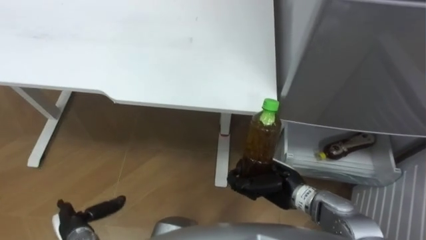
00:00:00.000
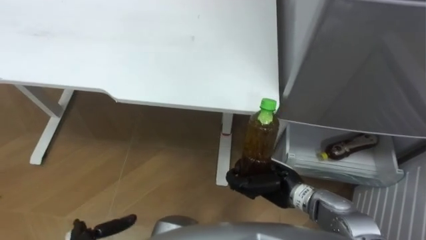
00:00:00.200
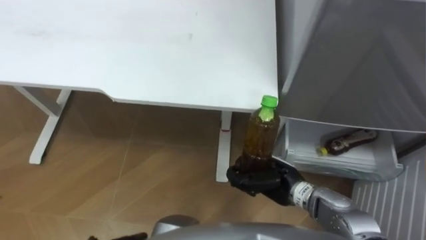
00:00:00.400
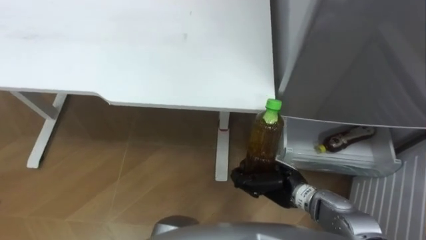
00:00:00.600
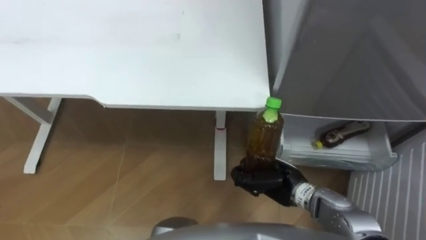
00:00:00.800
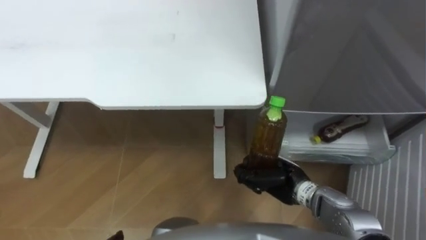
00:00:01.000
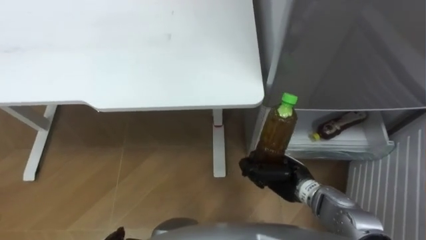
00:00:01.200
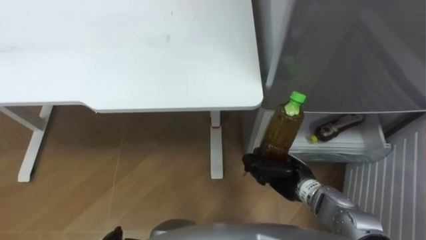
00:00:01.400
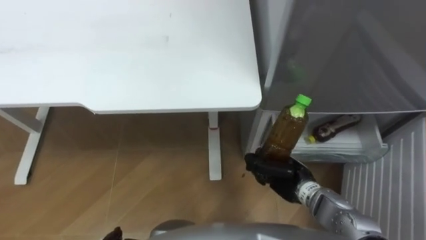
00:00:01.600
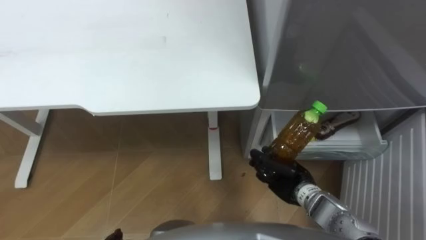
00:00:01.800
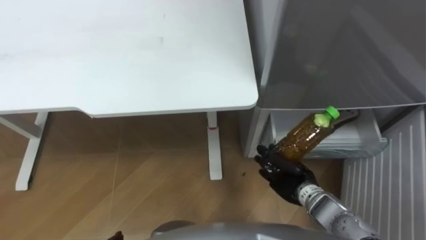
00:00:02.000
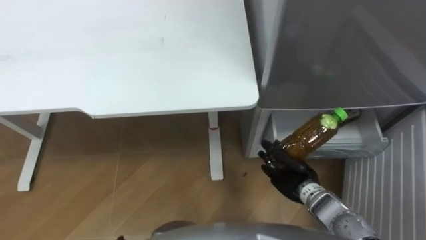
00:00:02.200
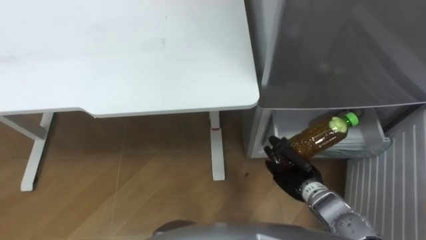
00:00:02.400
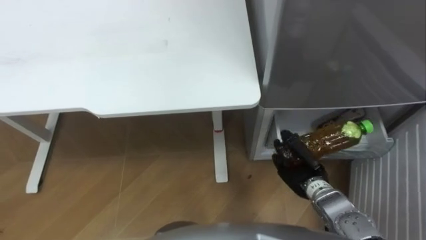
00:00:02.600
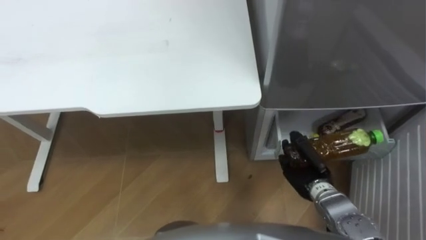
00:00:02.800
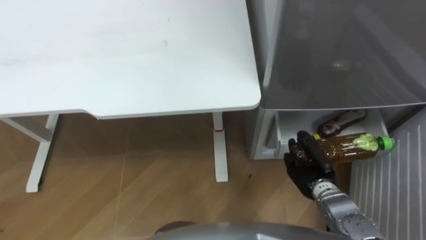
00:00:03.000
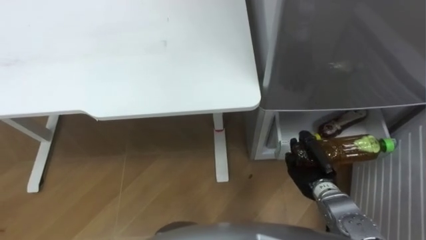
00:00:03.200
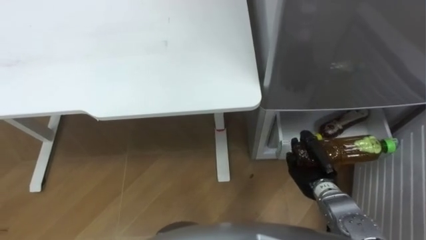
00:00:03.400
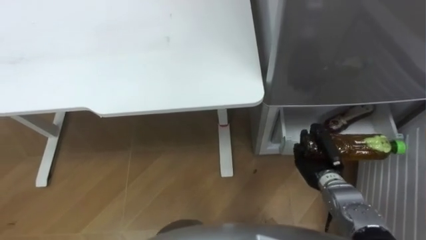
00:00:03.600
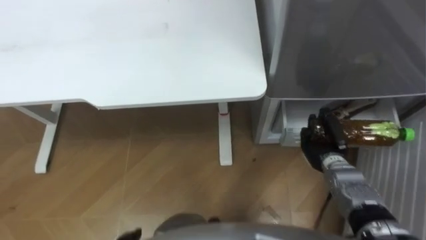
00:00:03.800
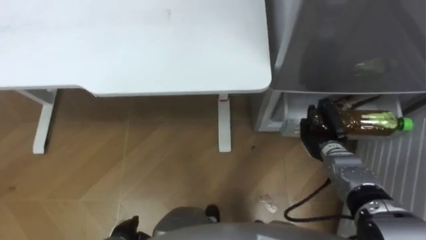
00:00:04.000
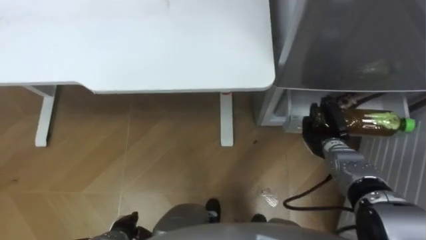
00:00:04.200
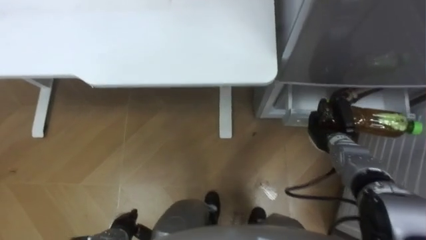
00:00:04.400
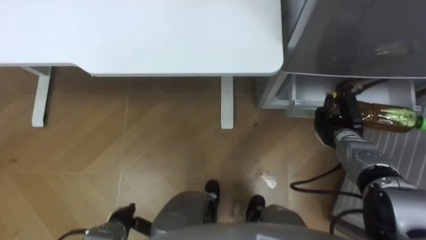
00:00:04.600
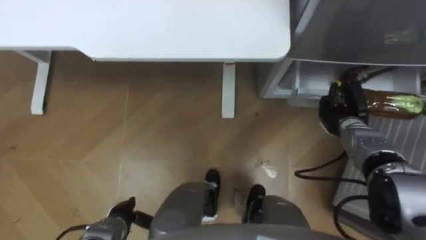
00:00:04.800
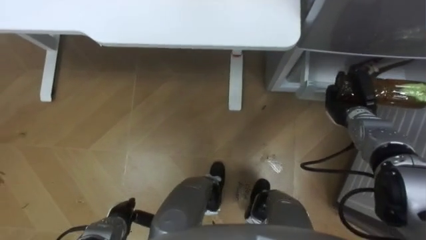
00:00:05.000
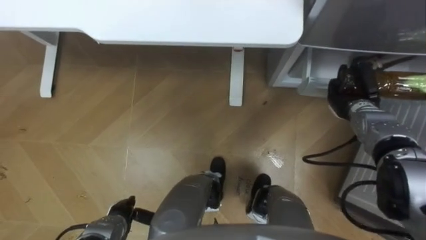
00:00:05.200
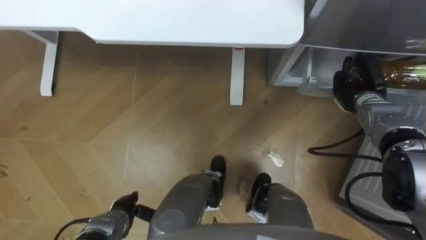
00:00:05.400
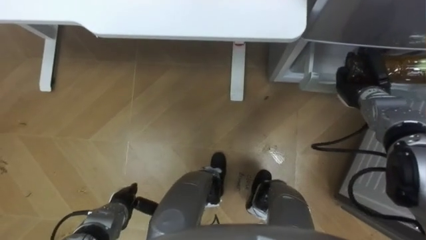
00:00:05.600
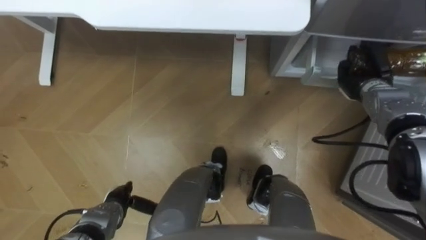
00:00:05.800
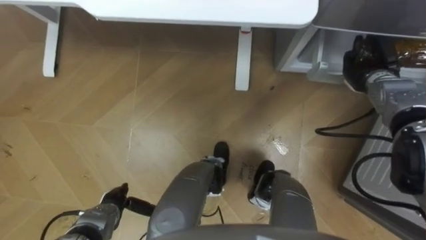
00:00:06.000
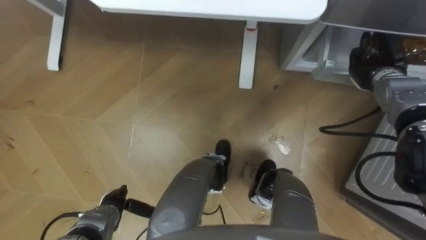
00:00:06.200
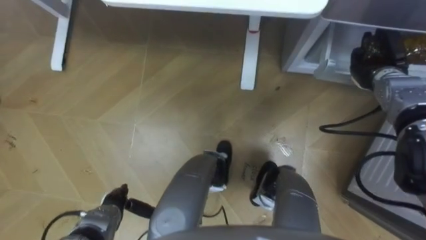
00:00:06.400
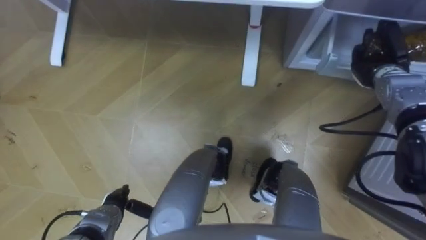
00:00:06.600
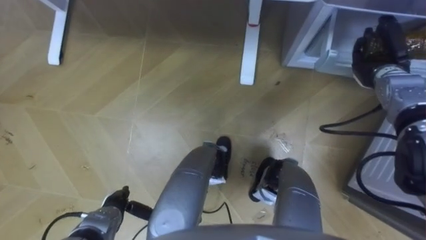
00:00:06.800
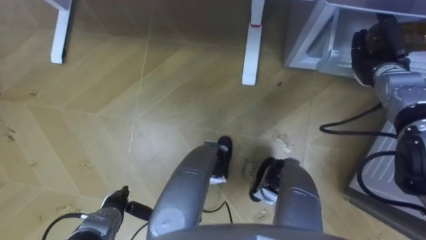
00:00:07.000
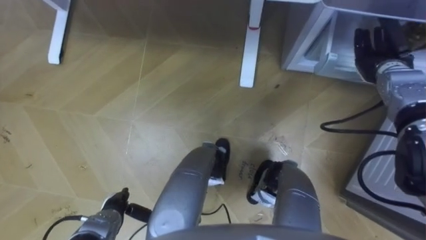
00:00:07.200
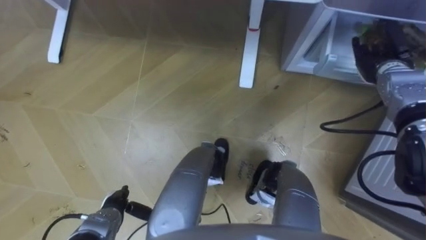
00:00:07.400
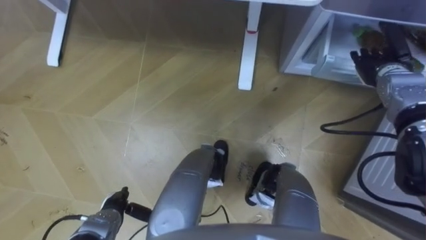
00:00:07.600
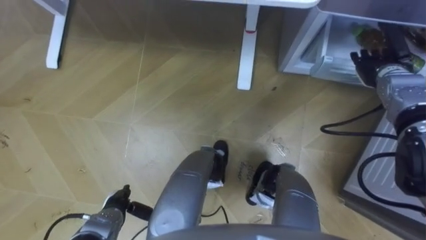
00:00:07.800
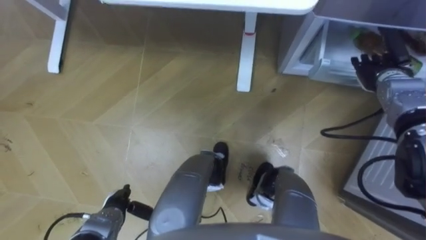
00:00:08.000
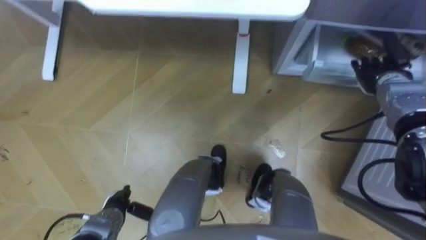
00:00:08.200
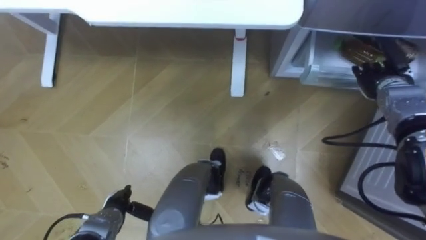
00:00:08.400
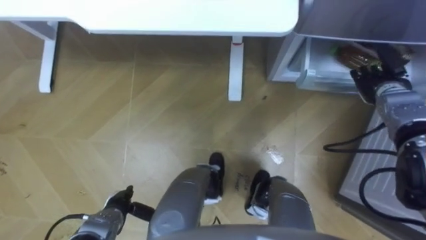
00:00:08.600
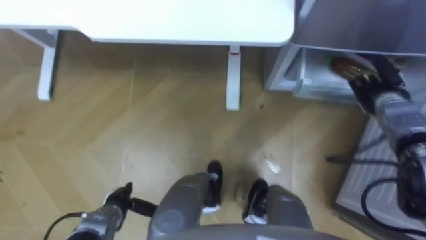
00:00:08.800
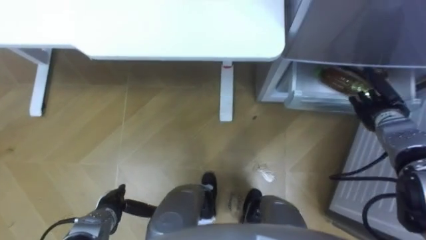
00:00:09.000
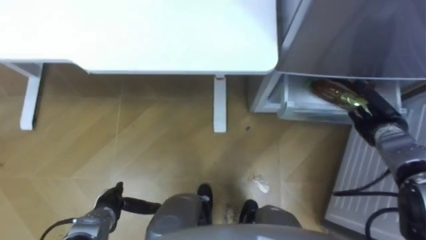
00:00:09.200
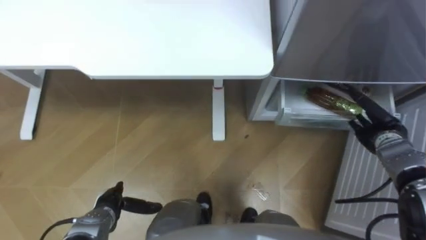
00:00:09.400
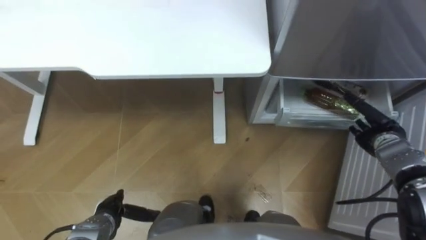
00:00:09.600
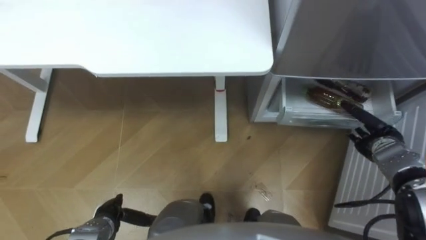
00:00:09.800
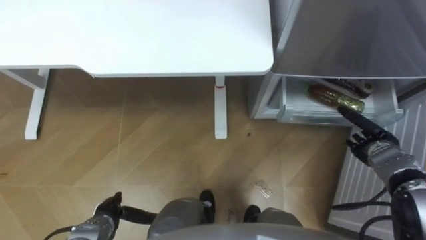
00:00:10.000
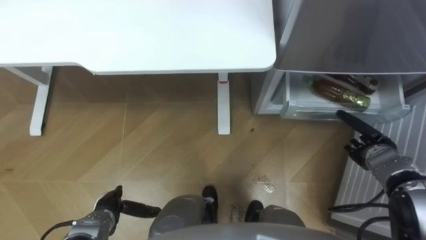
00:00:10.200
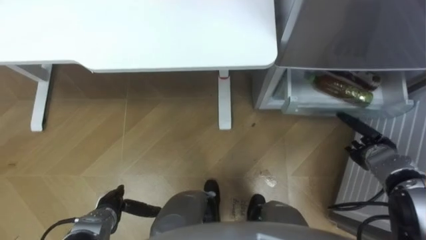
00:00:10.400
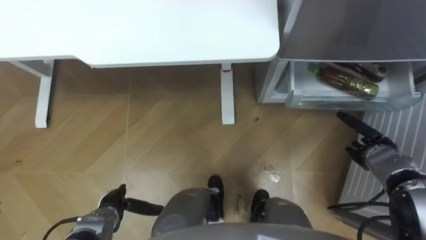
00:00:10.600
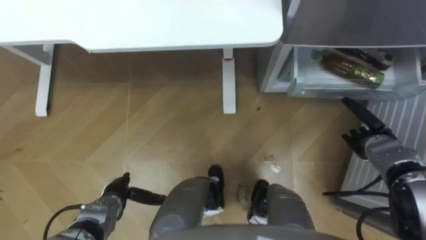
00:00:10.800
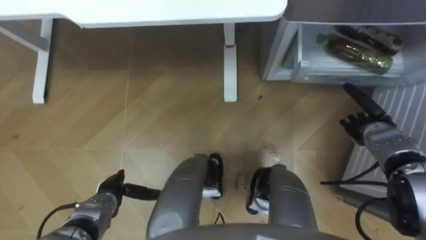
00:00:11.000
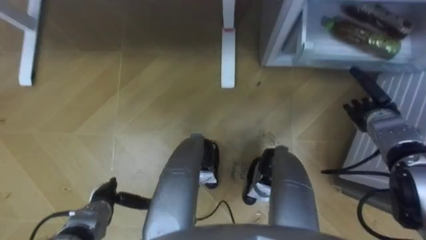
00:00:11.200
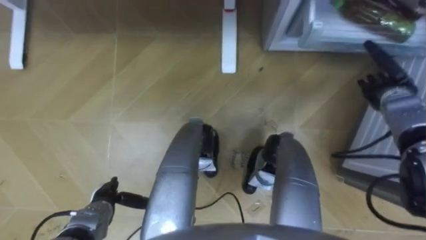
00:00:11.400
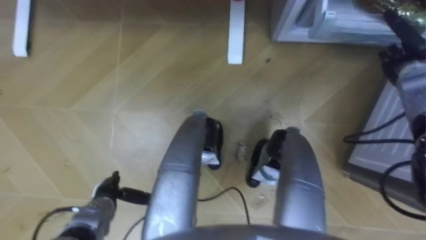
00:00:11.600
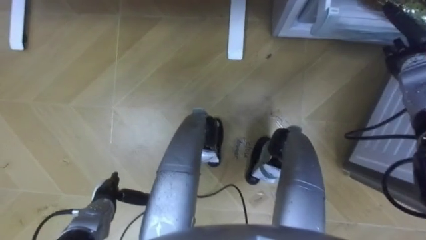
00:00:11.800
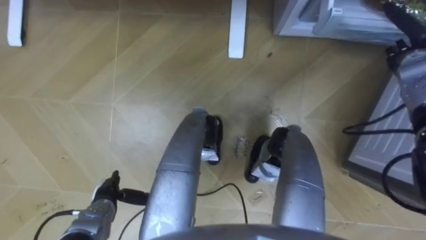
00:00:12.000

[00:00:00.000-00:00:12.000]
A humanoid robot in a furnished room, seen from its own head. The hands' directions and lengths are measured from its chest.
Task of the whole recording: Place the drink on the table on the bottom shelf of the refrigerator, then close the drawer and the refrigerator door.
00:00:01.600 to 00:00:03.000: The right hand travels to the right by about 5 cm.
00:00:03.000 to 00:00:04.400: The right hand is displaced forward by about 10 cm.
00:00:04.400 to 00:00:06.000: The right hand goes about 15 cm upward, forward and to the right; the left hand is displaced forward by about 5 cm.
00:00:06.000 to 00:00:07.600: The right hand opens.
00:00:07.600 to 00:00:09.000: The right hand heads backward and downward, covering roughly 10 cm.
00:00:09.000 to 00:00:10.400: The right hand moves backward and downward, approximately 10 cm.
00:00:10.400 to 00:00:12.000: The right hand shifts roughly 20 cm upward and forward.

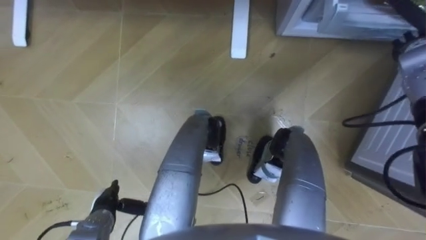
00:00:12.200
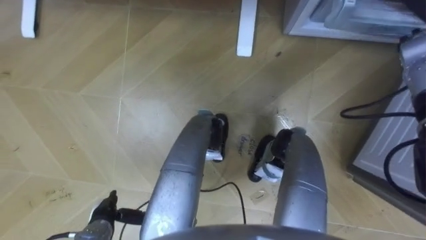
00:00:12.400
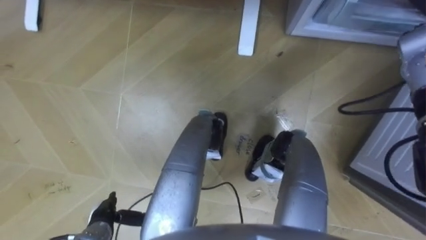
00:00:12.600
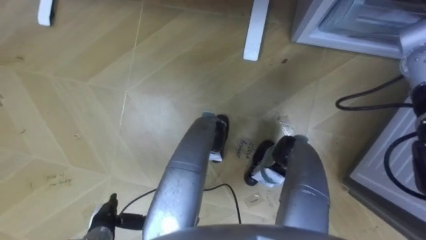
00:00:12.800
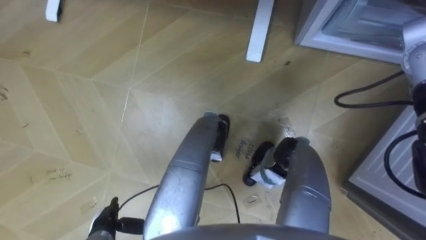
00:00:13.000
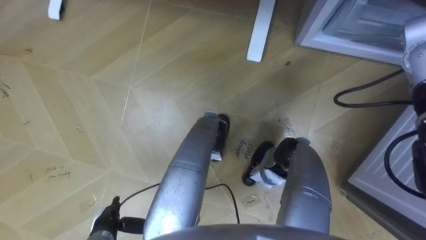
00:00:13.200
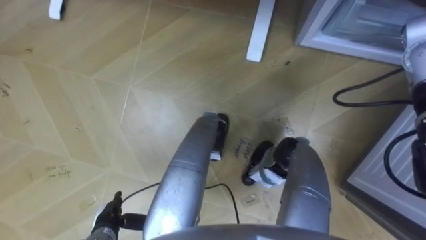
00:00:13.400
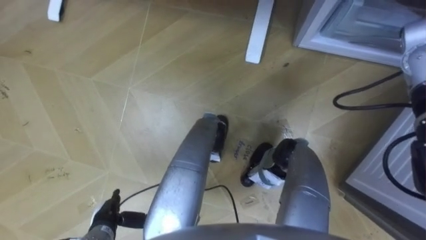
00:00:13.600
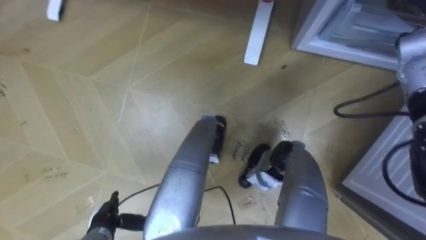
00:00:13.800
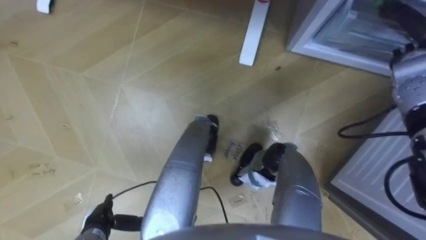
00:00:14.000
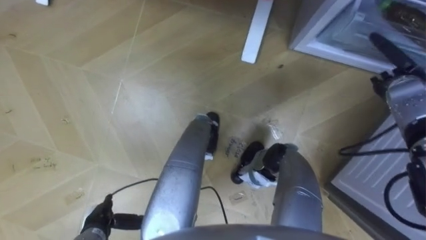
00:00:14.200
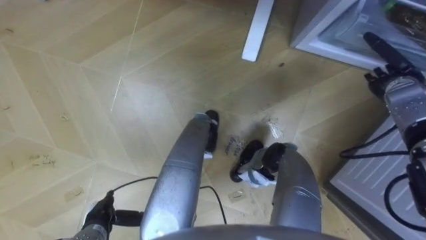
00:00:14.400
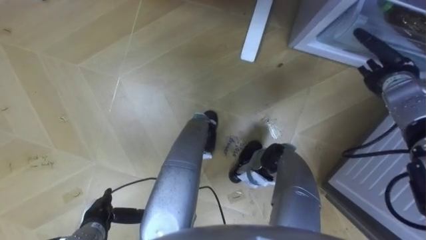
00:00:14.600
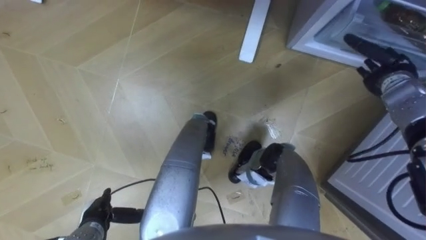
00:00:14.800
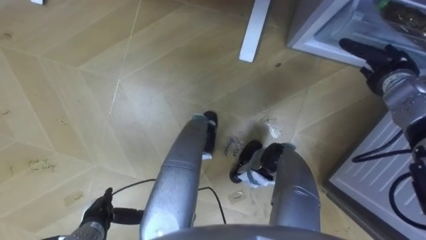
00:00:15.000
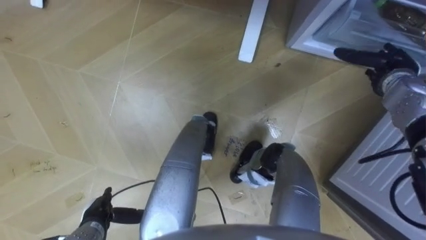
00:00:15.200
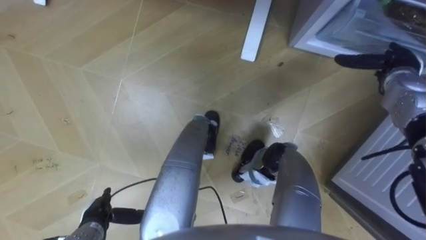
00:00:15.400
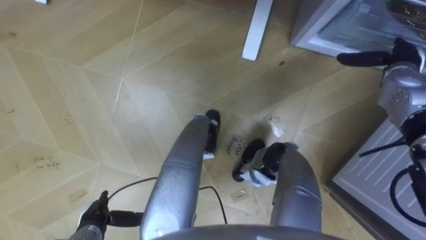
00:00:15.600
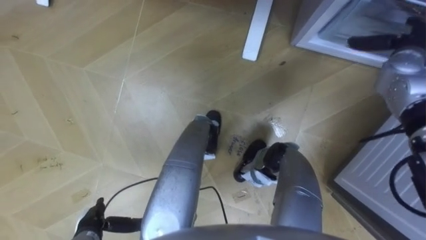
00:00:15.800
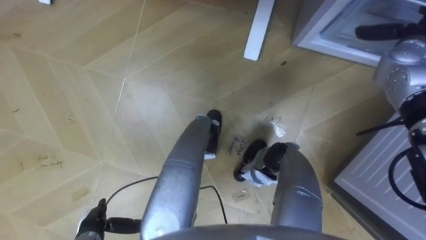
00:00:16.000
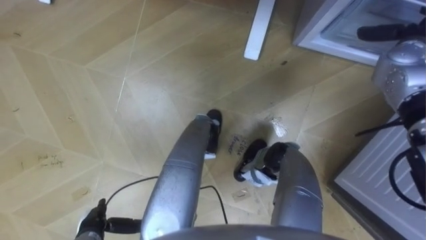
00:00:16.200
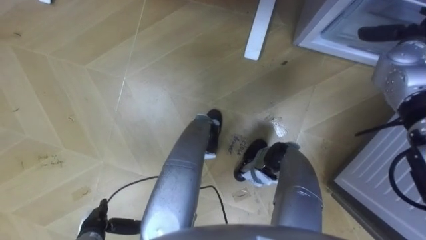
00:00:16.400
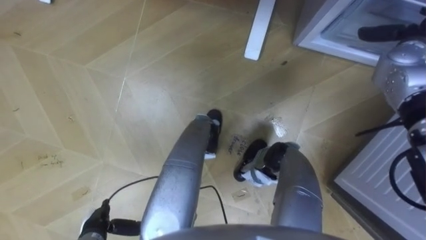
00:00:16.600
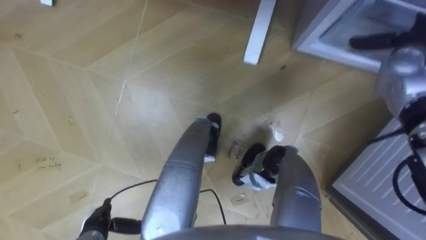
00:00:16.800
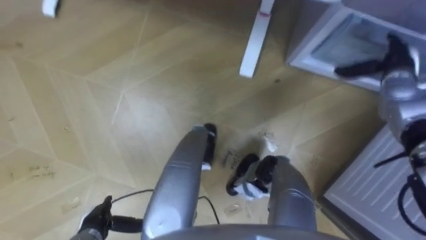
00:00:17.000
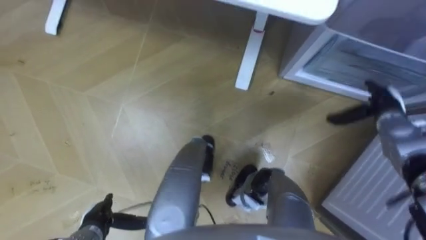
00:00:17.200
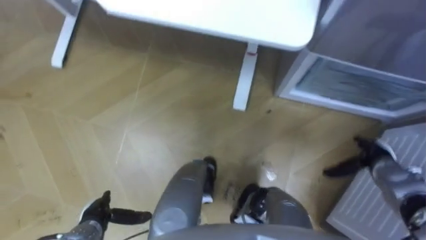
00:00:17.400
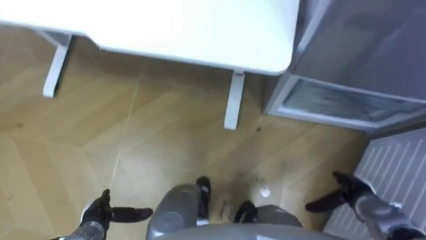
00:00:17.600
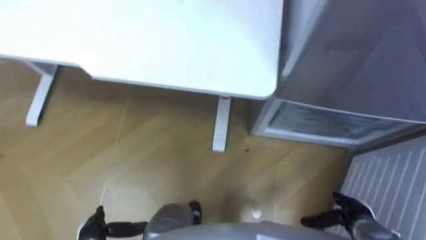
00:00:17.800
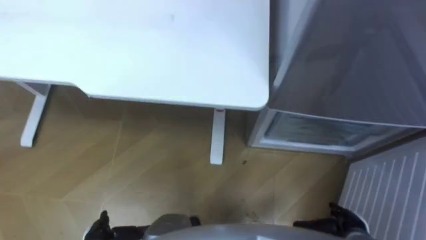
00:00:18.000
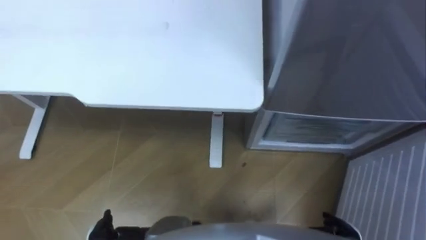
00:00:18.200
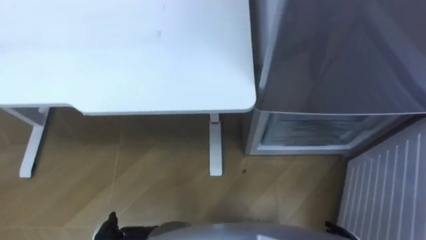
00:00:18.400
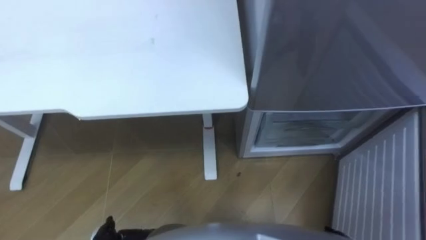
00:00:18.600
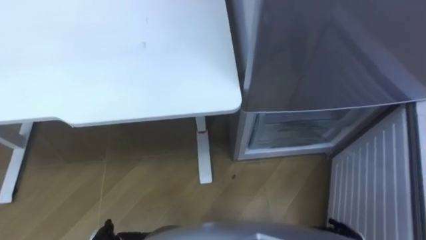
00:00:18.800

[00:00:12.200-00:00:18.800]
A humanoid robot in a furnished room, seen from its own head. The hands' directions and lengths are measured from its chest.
Task of the whole recording: Place the drink on the table on the bottom shelf of the refrigerator, then close the drawer and the refrigerator door.
00:00:13.800 to 00:00:15.400: The right hand is displaced downward by some 5 cm.
00:00:15.400 to 00:00:17.200: The right hand is displaced downward and backward by about 10 cm.
